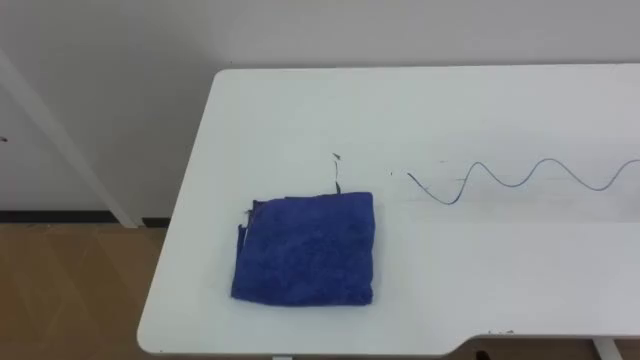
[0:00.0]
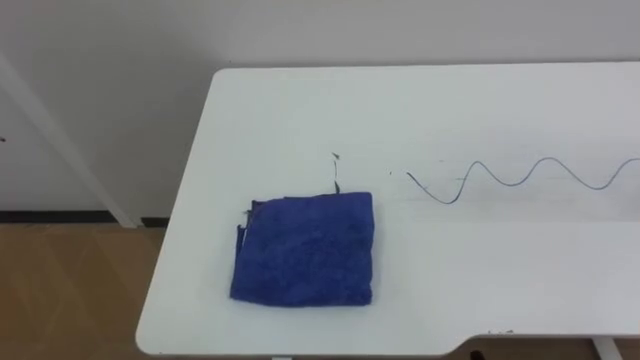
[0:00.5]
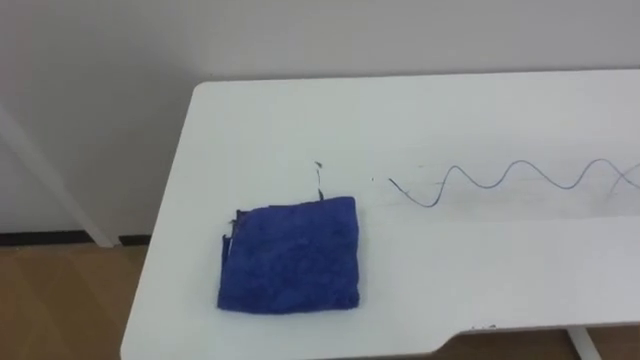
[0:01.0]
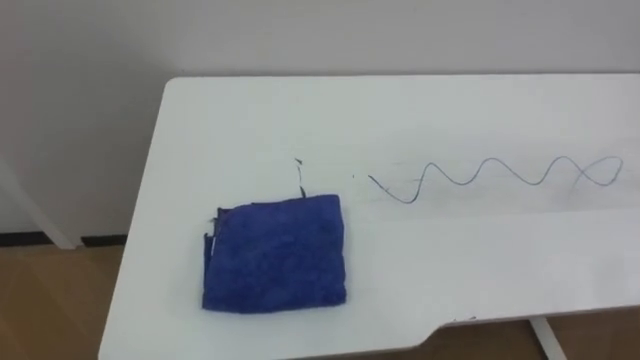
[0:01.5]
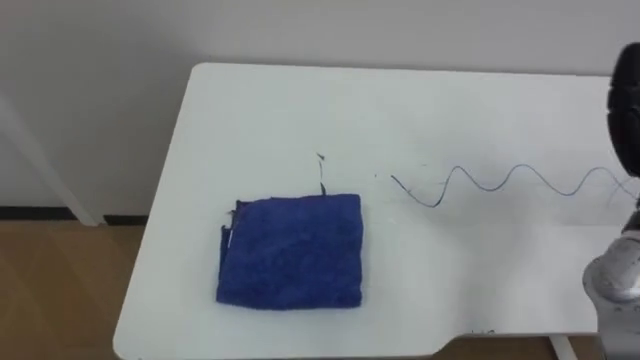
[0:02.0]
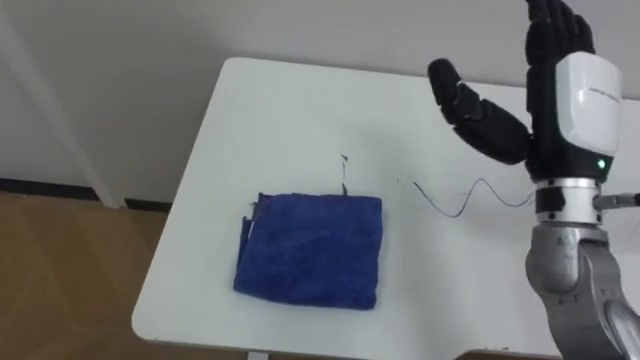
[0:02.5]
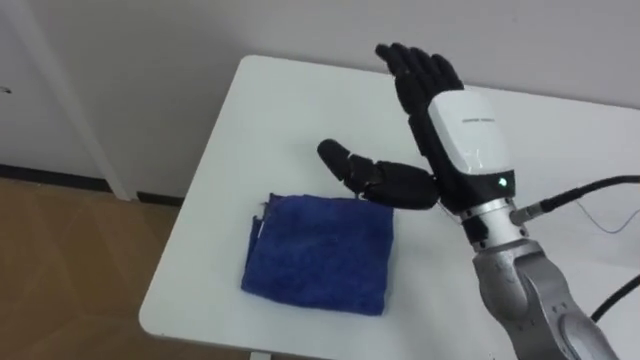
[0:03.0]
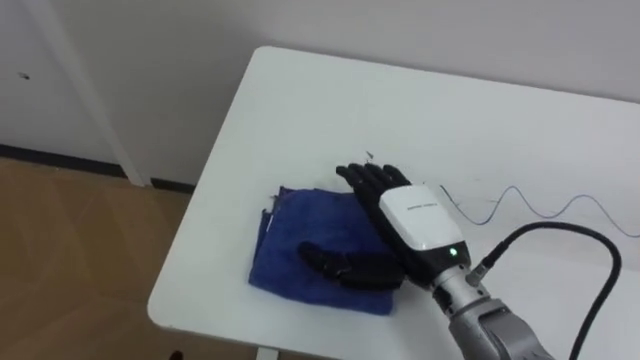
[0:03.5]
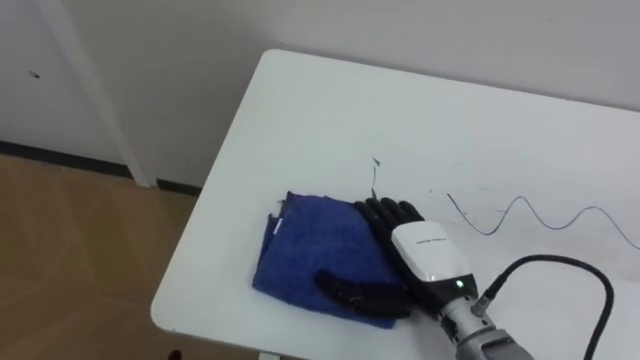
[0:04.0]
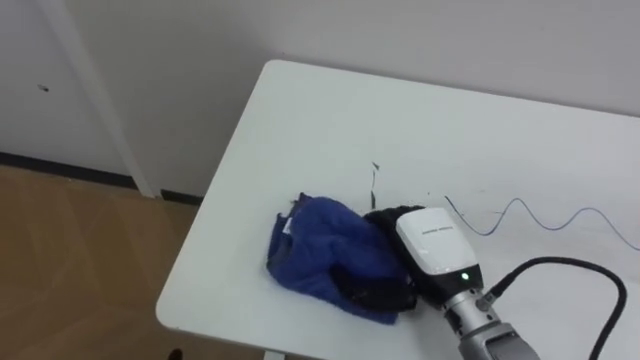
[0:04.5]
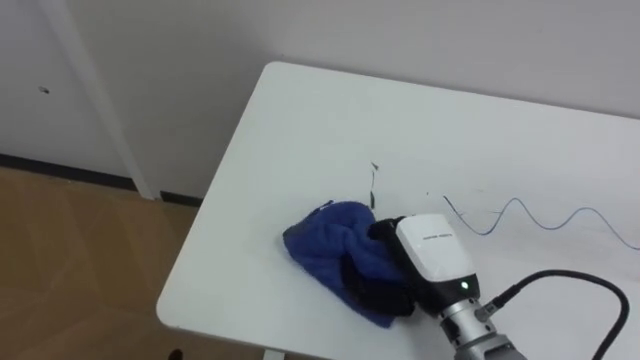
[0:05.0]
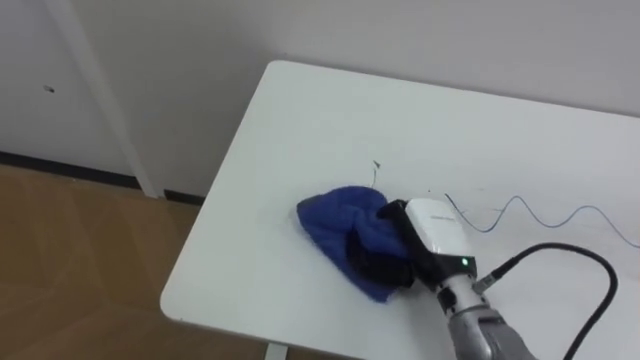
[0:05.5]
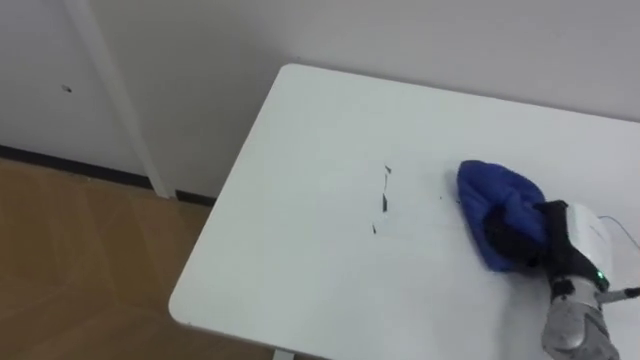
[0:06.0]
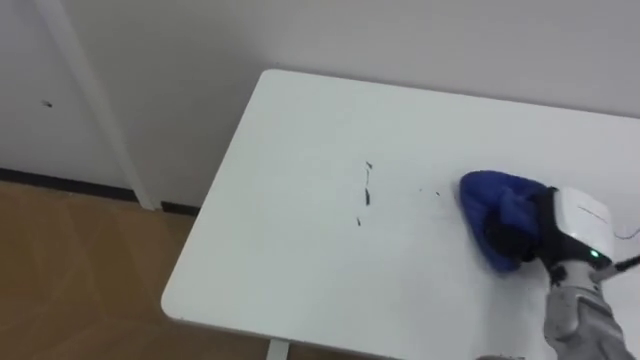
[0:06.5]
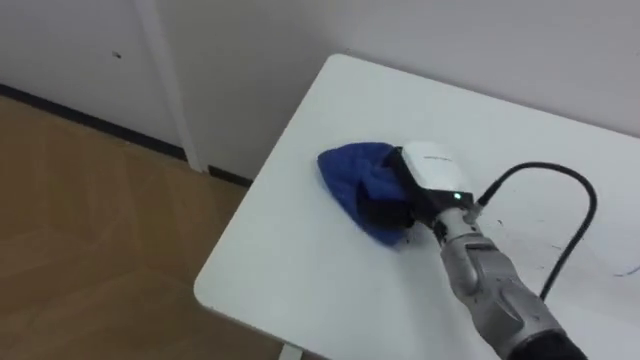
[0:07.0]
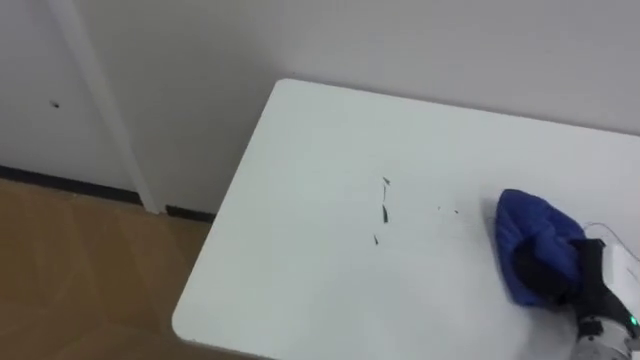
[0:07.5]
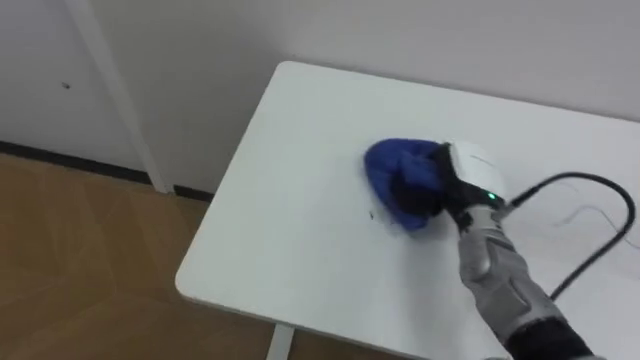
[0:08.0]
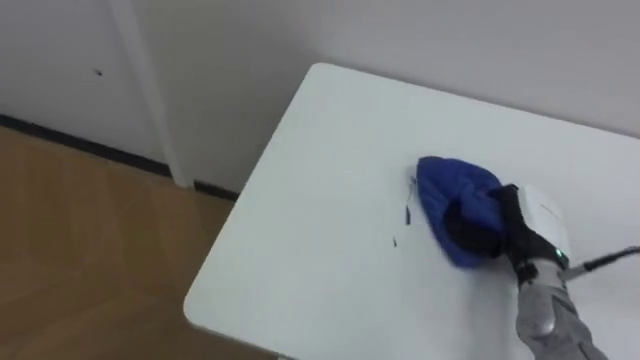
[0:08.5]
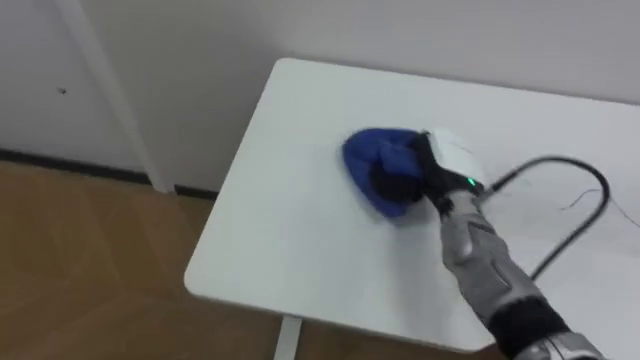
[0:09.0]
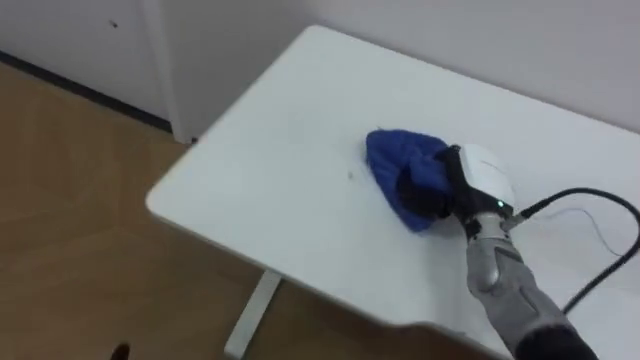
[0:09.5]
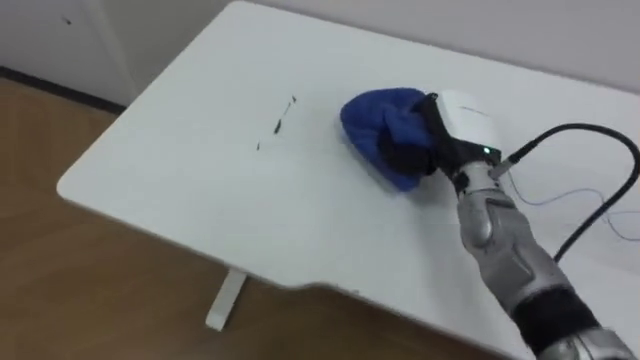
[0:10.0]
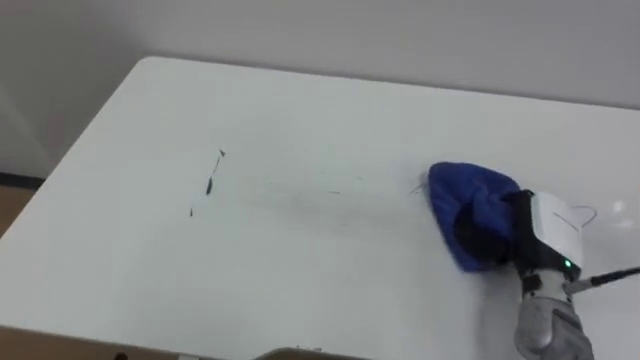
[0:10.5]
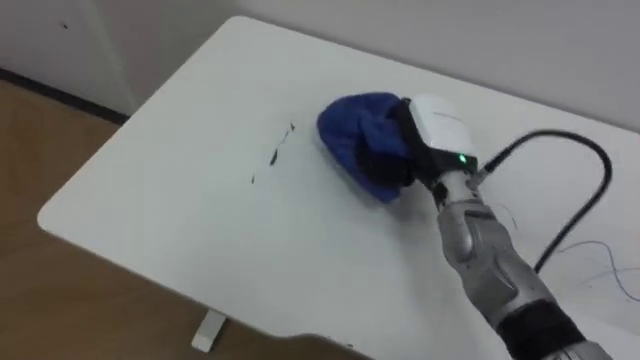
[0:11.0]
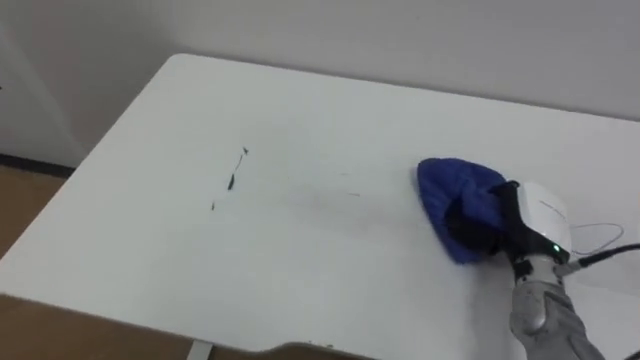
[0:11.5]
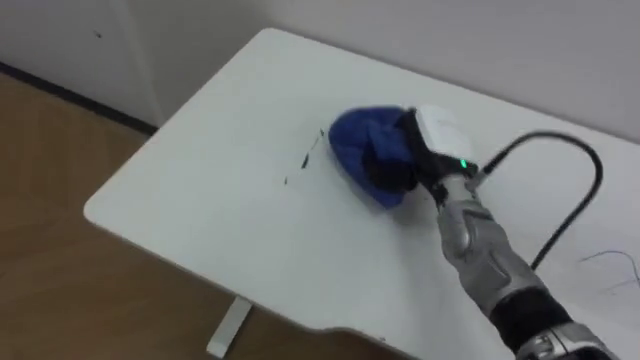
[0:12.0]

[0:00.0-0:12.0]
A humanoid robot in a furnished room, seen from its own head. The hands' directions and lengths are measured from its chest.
Task of the whole recording: Wipe the blue pen marks off the table with the rag.
0:04.0 to 0:06.0: The right hand moves to the right, some 20 cm, and closes its fingers.
0:06.0 to 0:08.0: The right hand moves left and right over roughly 20 cm, changing direction 2 times.
0:08.0 to 0:10.0: The right hand is displaced upward by some 5 cm.
0:10.0 to 0:12.0: The right hand moves left and right over some 15 cm, changing direction 3 times.

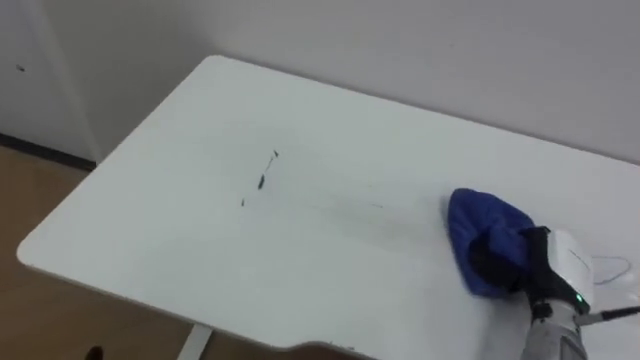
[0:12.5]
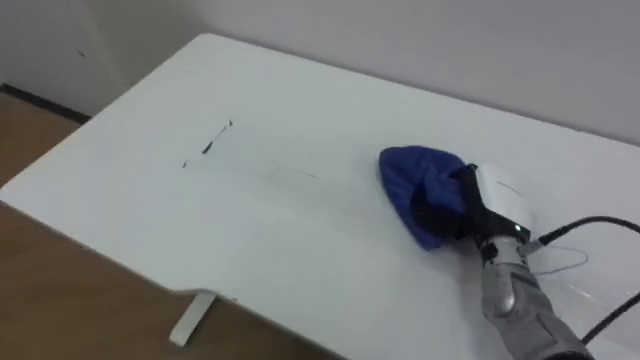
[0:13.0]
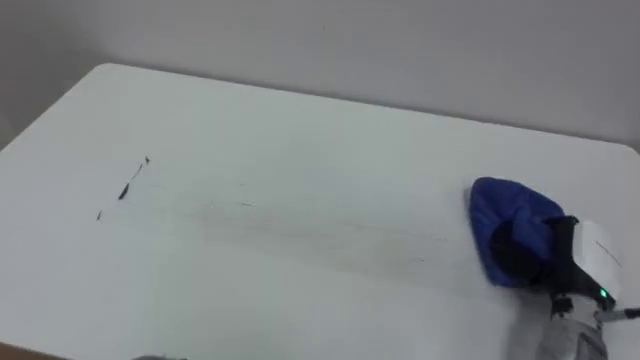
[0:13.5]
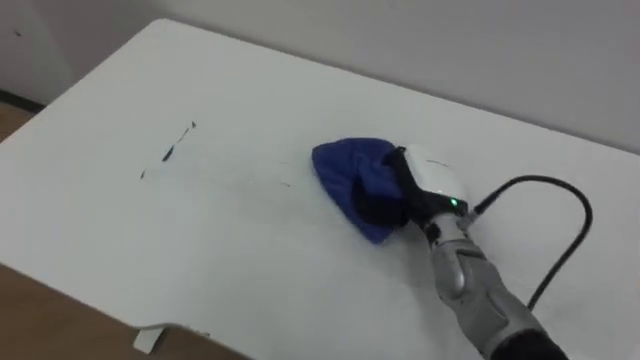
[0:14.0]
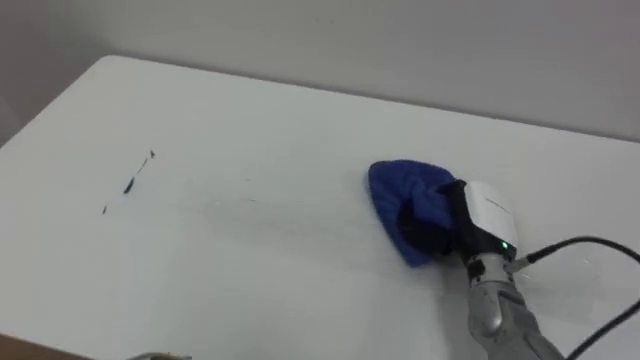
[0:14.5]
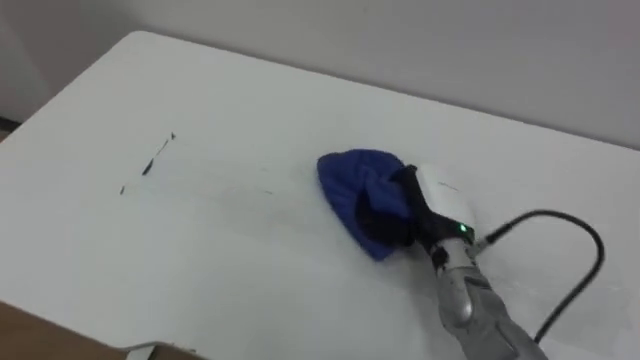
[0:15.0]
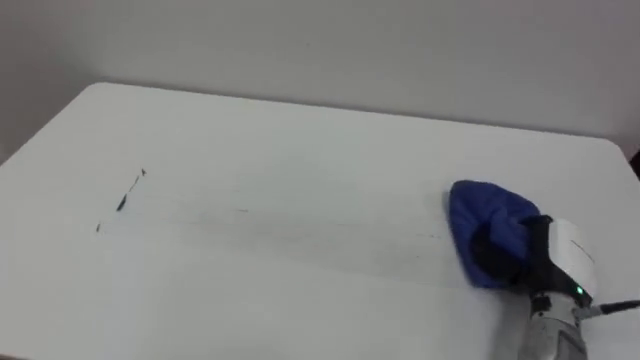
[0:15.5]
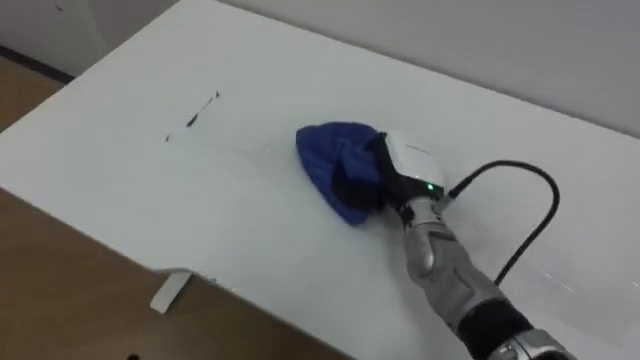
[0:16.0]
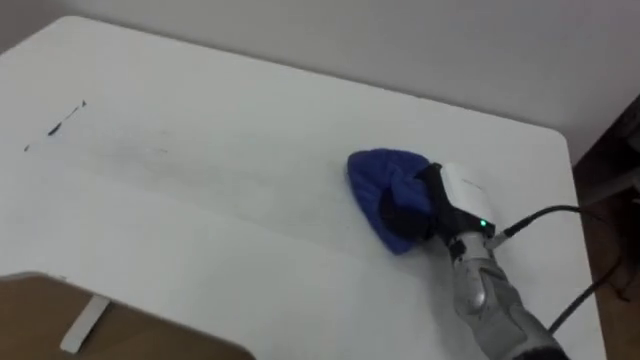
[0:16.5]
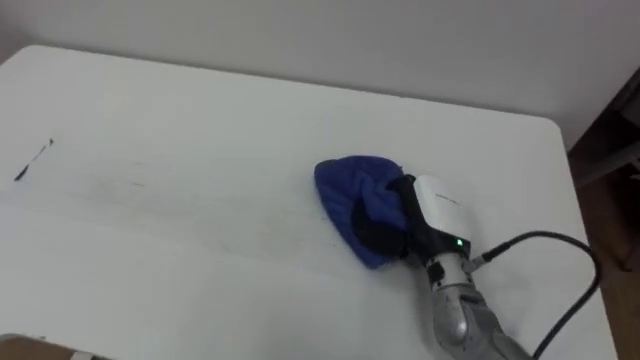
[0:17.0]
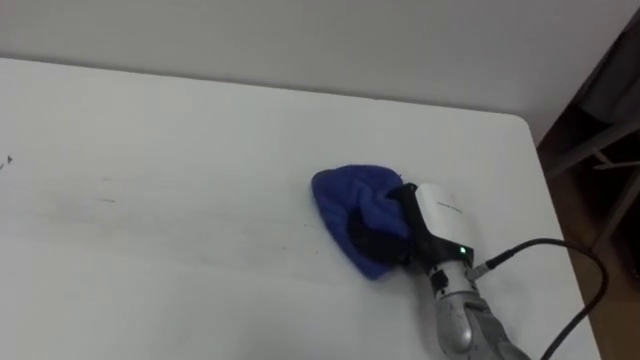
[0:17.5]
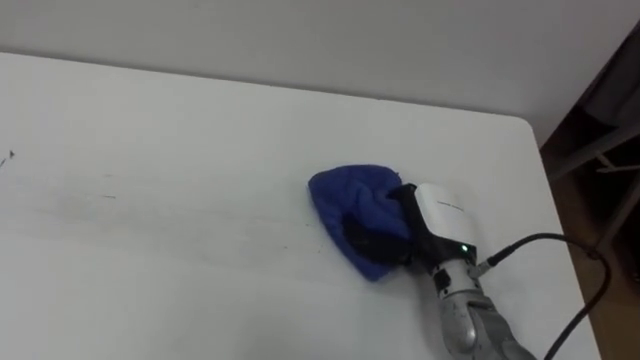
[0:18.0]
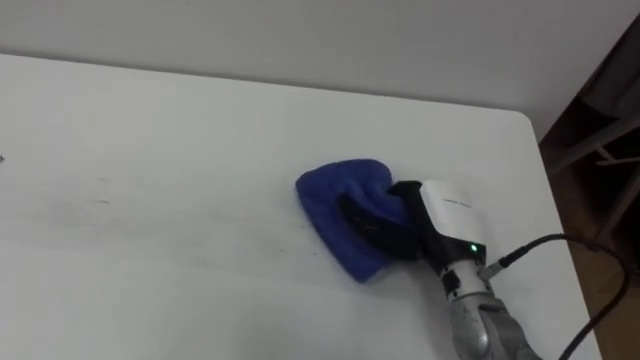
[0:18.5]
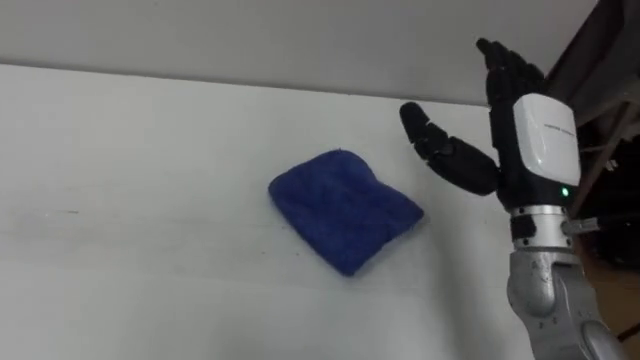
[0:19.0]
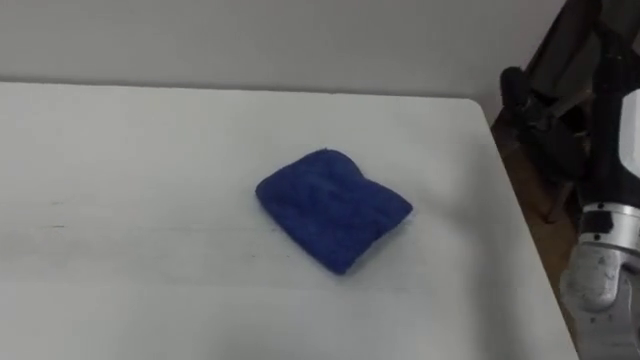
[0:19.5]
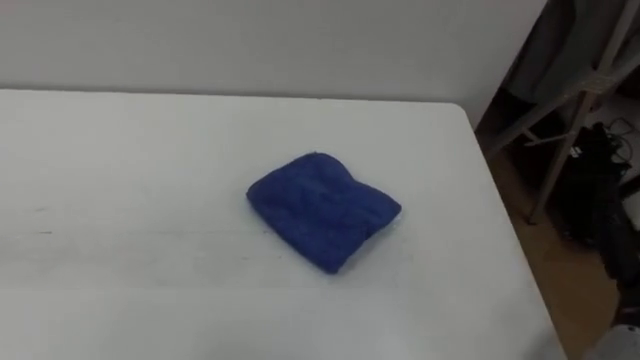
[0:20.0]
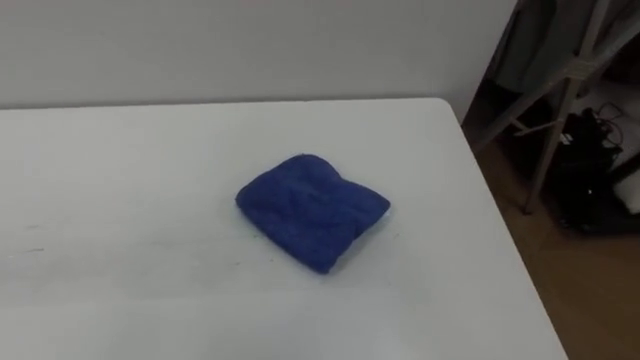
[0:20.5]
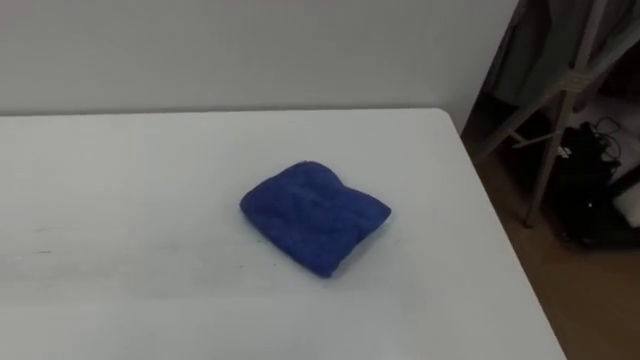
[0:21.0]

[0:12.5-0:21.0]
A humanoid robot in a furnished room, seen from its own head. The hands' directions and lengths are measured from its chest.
Task of the whole recording: Wipe the blue pen marks off the table with the rag.
0:12.5 to 0:14.5: The right hand swings left and right, about 20 cm each way, with 3 reversals.
0:14.5 to 0:16.5: The right hand goes left and right, some 20 cm each way, reversing 3 times.
0:16.5 to 0:19.0: The right hand travels upward by approximately 15 cm, and opens.
